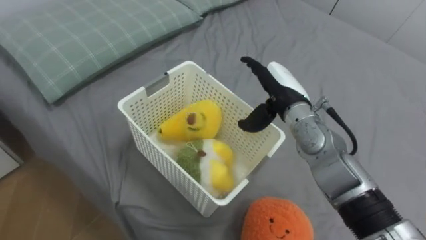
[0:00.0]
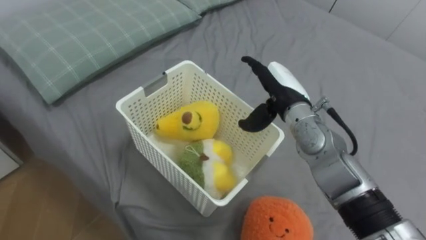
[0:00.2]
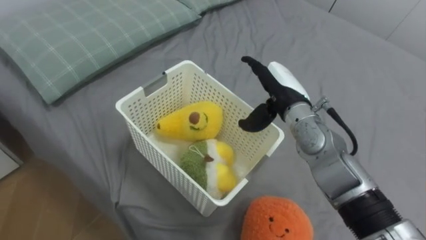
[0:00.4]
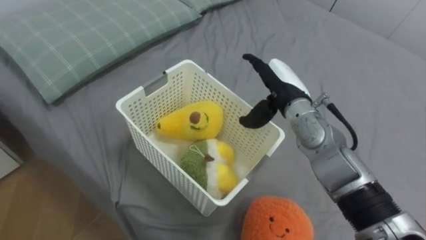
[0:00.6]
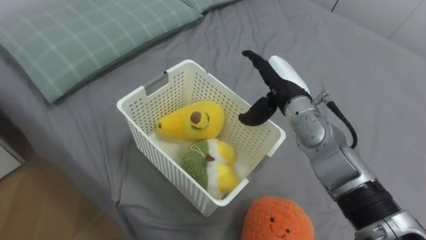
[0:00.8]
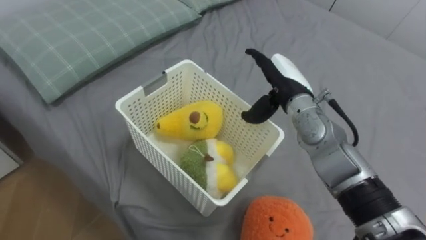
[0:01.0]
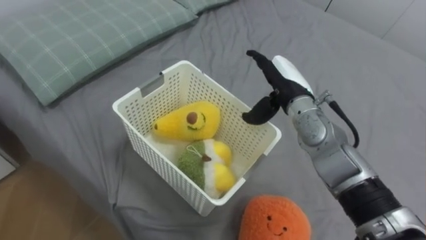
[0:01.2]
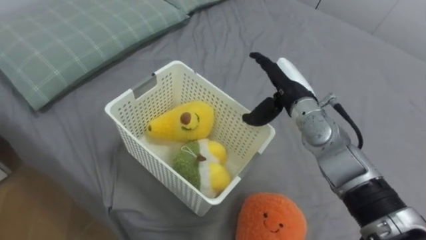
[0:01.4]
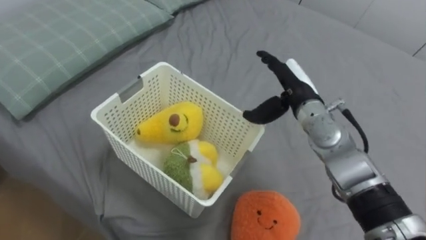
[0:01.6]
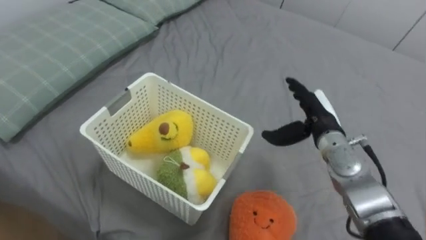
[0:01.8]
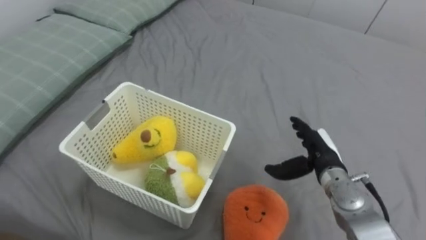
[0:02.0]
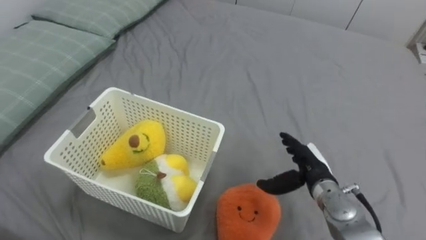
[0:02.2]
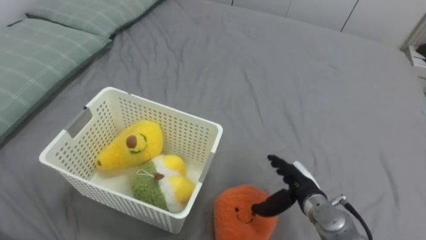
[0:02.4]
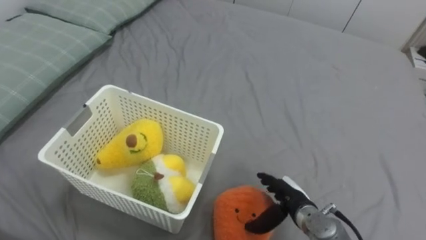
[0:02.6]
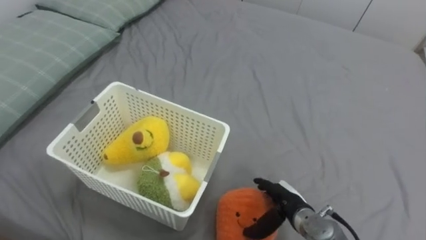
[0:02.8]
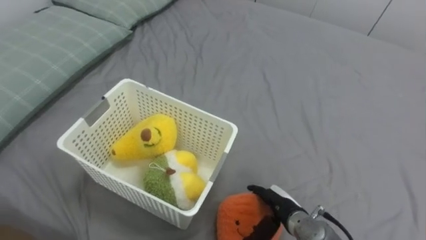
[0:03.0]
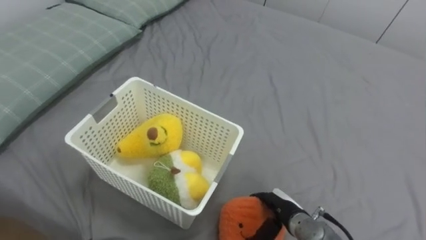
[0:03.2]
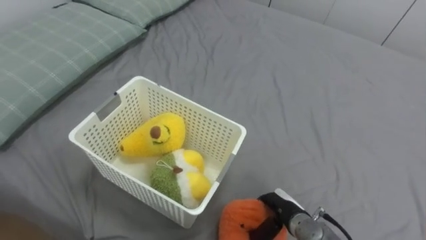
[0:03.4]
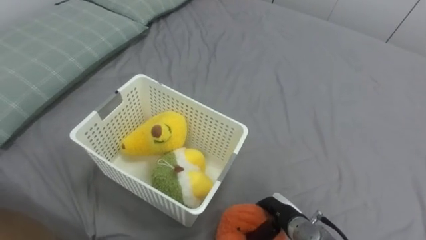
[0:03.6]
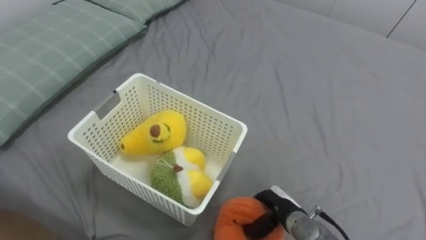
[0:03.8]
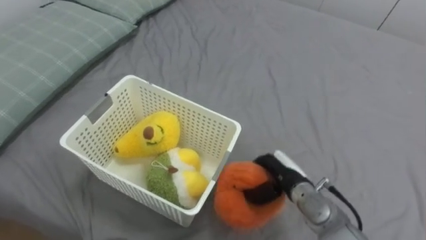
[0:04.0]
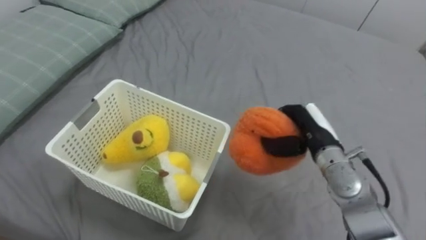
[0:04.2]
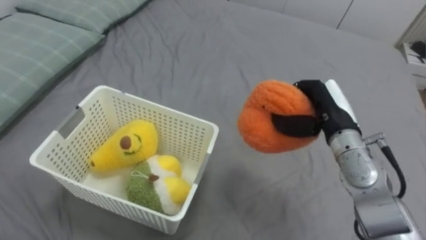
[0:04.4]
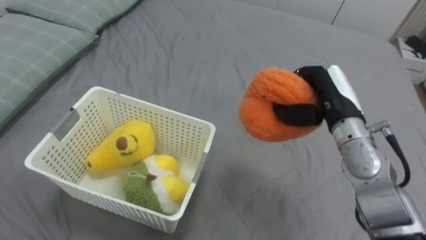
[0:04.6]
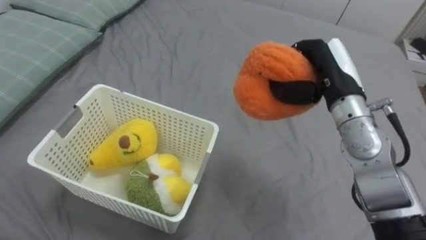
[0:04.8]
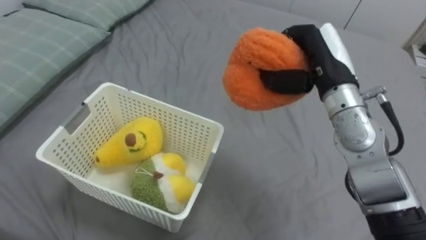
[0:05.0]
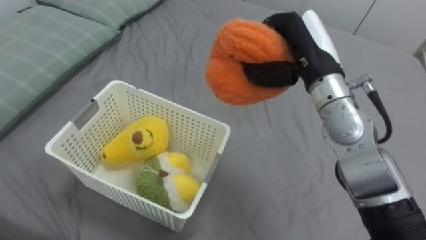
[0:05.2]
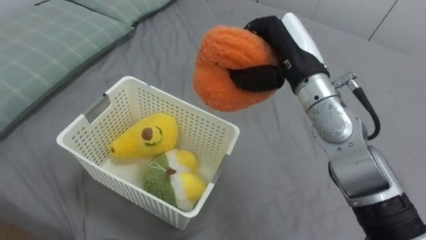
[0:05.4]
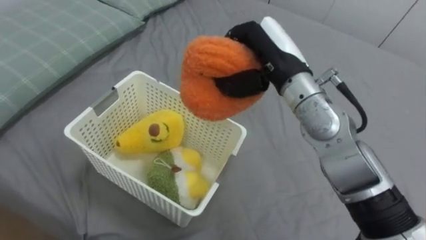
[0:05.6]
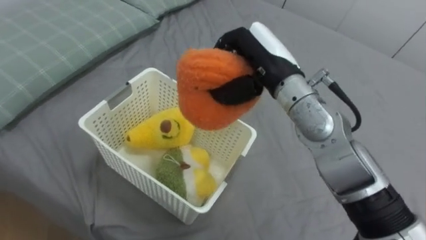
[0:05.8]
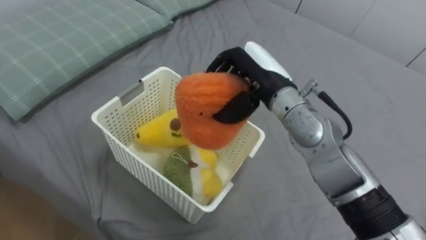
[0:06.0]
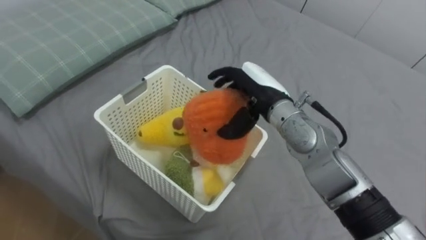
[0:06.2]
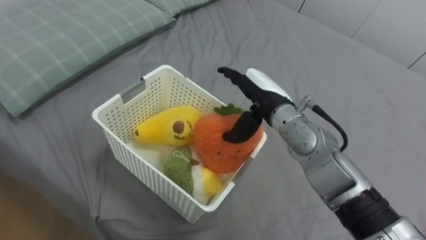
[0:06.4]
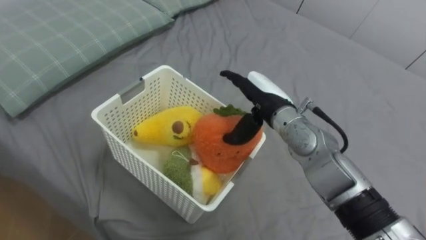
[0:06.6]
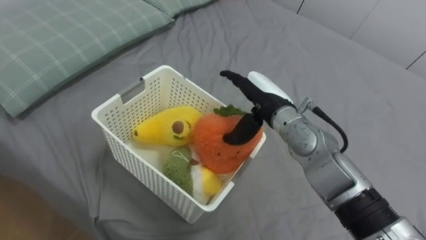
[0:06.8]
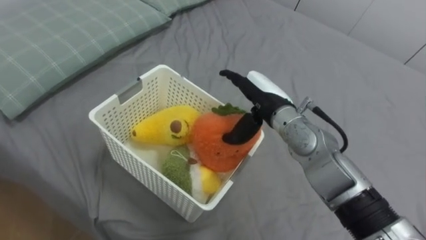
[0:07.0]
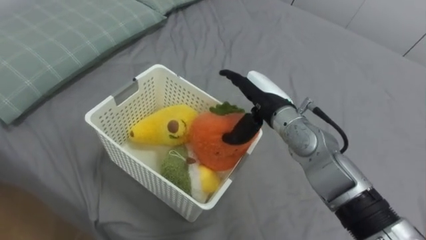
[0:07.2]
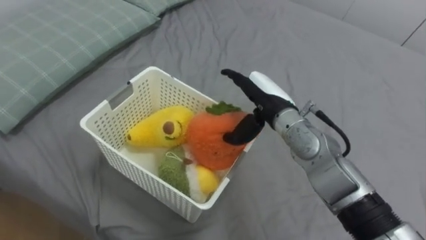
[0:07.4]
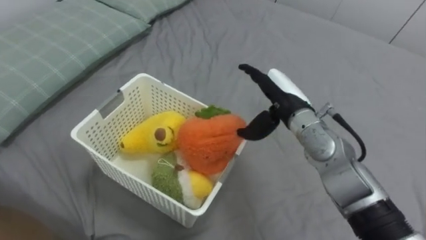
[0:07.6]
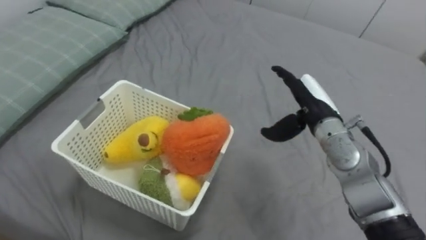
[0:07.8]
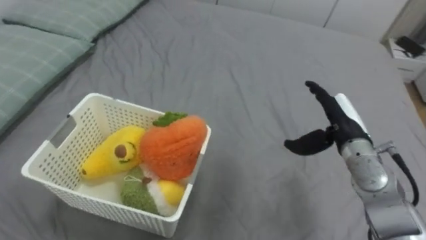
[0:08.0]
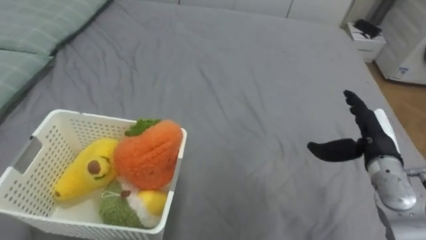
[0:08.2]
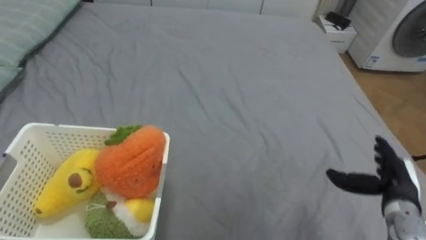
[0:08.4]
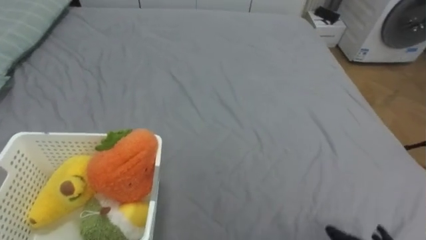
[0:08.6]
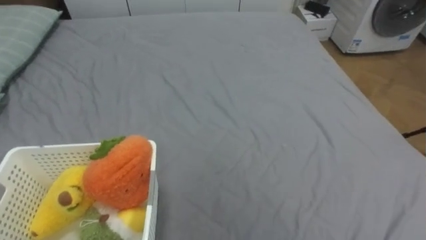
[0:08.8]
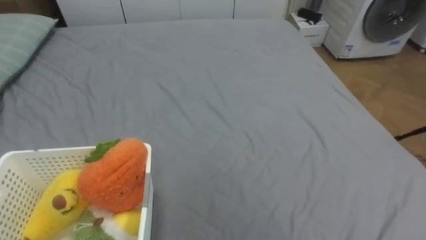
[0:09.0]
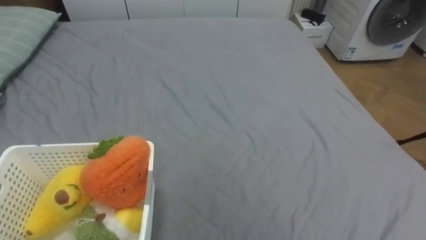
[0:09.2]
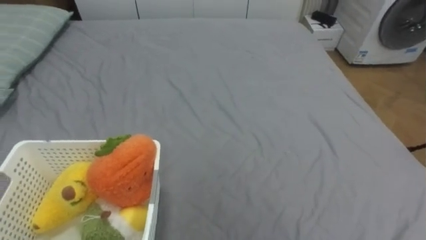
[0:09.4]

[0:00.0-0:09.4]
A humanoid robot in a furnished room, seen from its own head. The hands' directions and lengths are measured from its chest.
Task of the whole recording: Put the toys on the bed into the basket on the left.
0:01.6 to 0:03.2: The right hand moves downward and backward, roughly 25 cm.
0:03.2 to 0:04.8: The right hand is displaced upward and forward by roughly 30 cm, and closes its fingers.
0:04.8 to 0:06.2: The right hand heads to the left, covering approximately 10 cm, and opens its fingers.
0:06.2 to 0:07.8: The right hand is displaced to the right by some 10 cm.

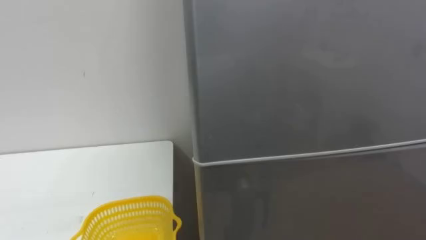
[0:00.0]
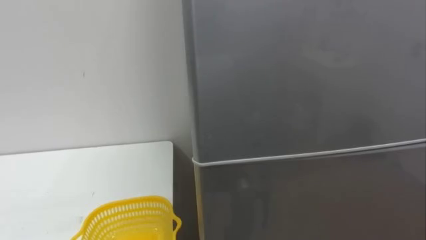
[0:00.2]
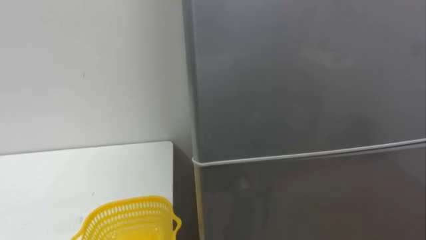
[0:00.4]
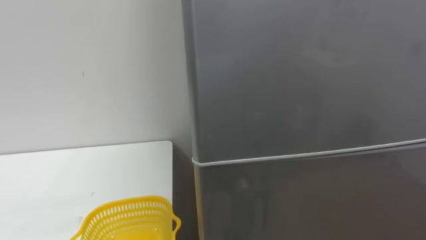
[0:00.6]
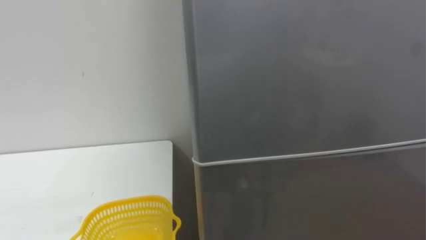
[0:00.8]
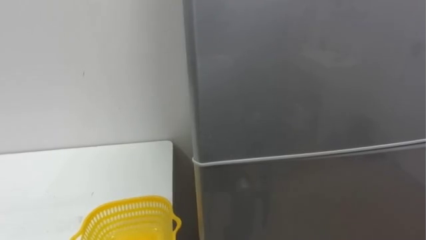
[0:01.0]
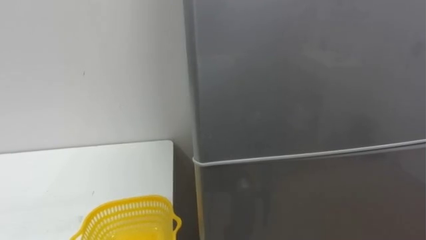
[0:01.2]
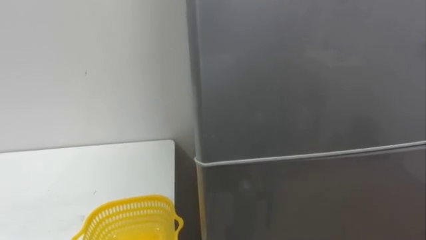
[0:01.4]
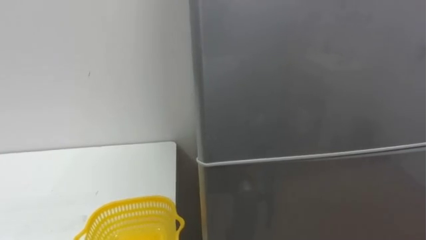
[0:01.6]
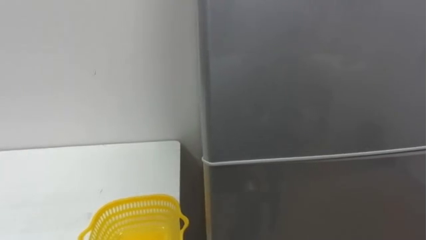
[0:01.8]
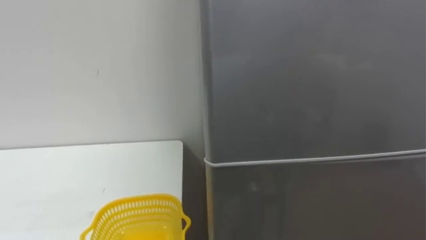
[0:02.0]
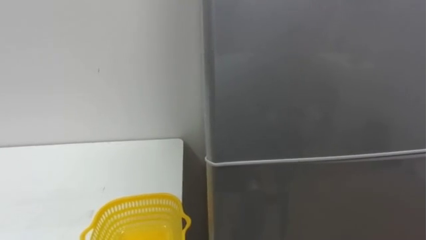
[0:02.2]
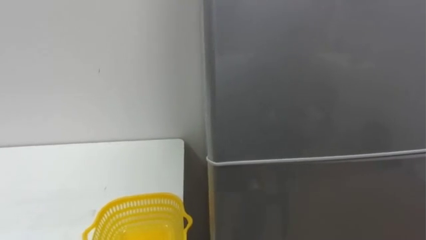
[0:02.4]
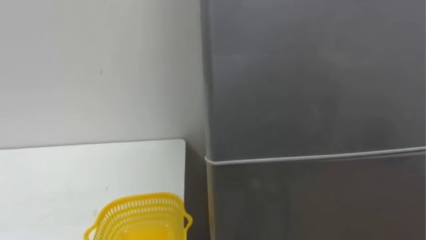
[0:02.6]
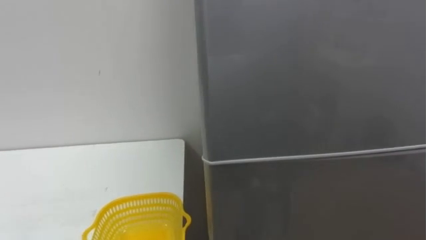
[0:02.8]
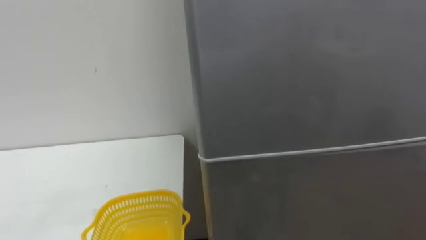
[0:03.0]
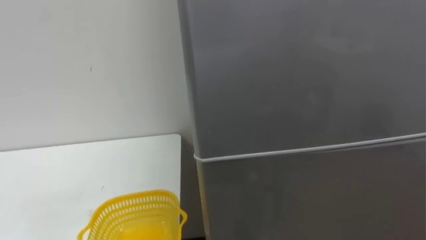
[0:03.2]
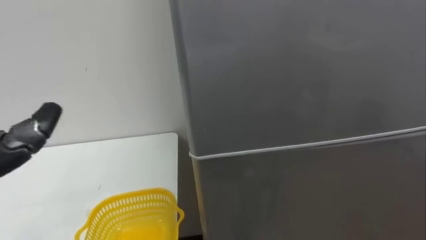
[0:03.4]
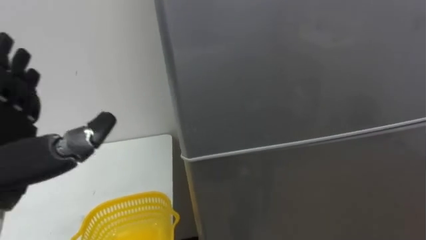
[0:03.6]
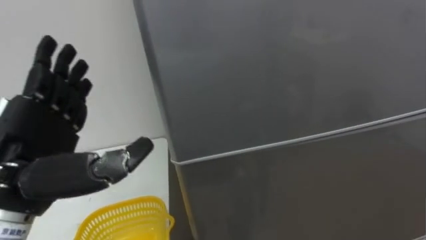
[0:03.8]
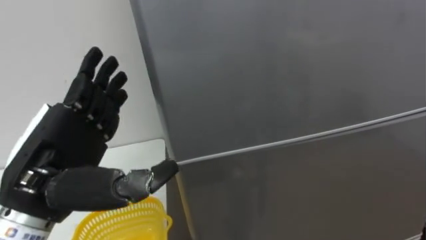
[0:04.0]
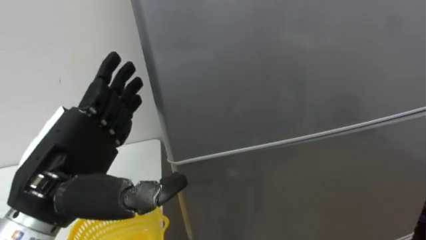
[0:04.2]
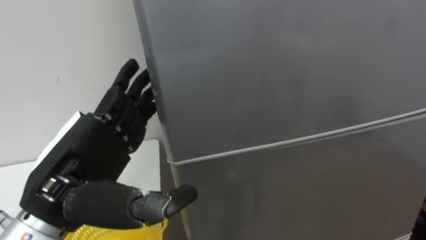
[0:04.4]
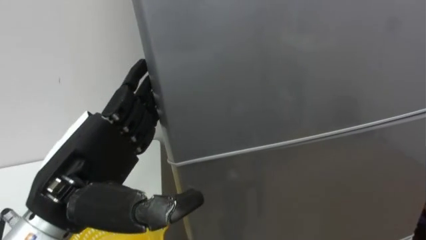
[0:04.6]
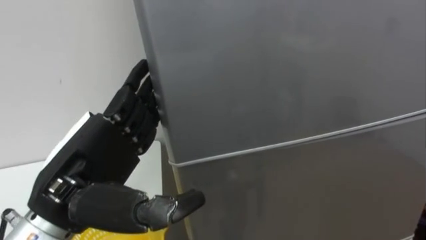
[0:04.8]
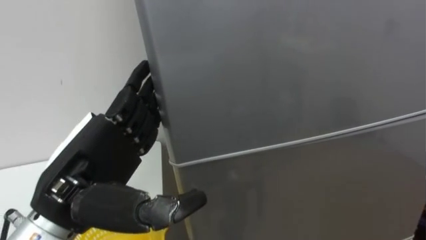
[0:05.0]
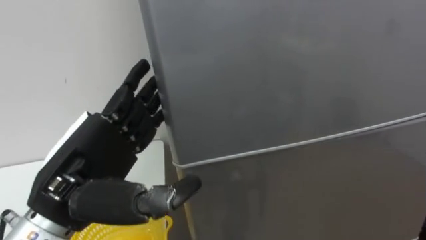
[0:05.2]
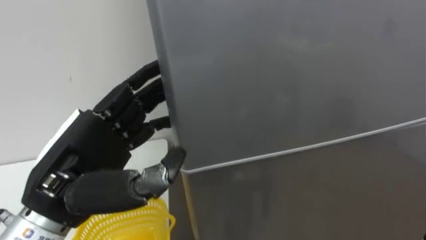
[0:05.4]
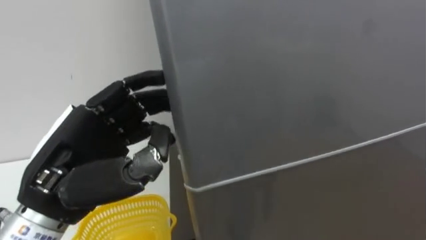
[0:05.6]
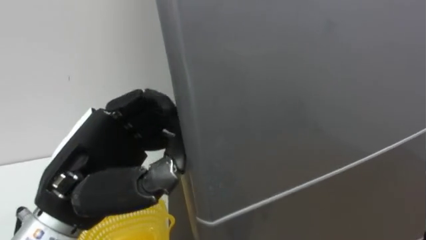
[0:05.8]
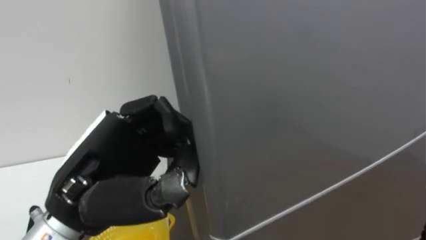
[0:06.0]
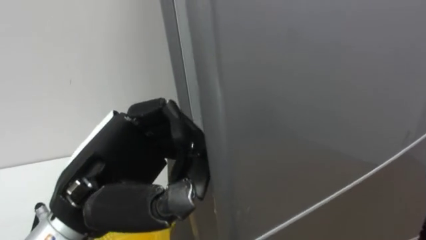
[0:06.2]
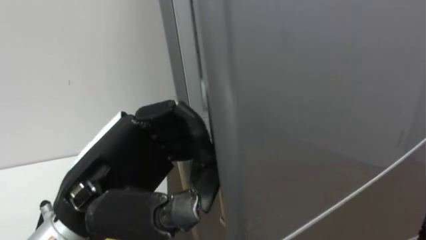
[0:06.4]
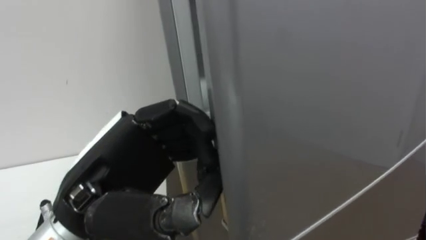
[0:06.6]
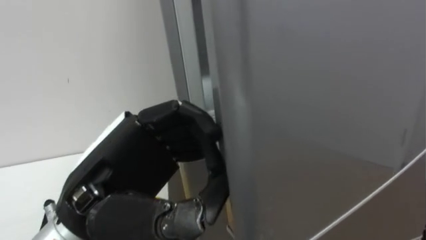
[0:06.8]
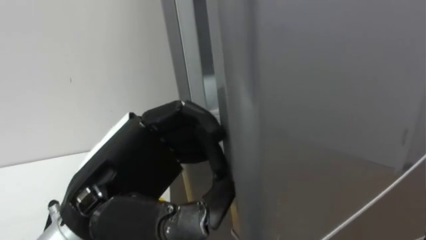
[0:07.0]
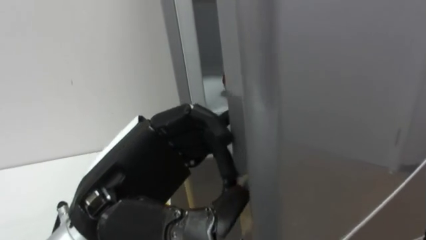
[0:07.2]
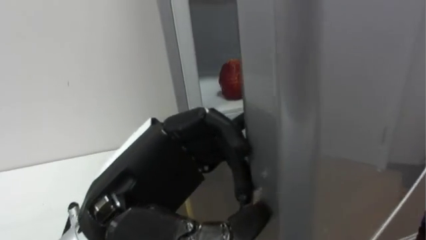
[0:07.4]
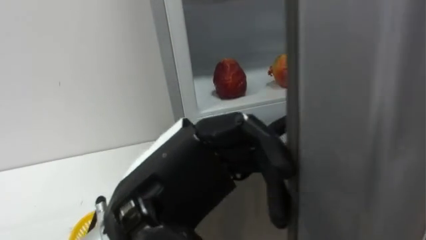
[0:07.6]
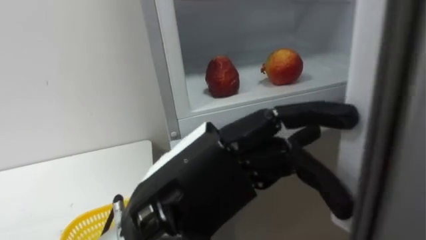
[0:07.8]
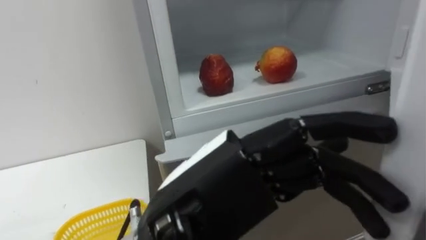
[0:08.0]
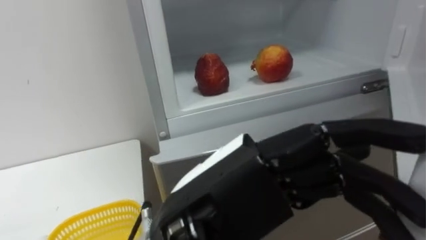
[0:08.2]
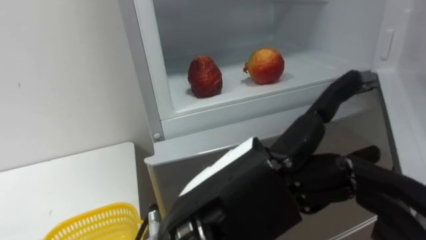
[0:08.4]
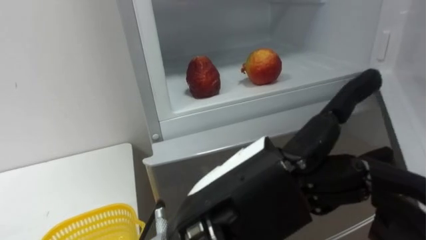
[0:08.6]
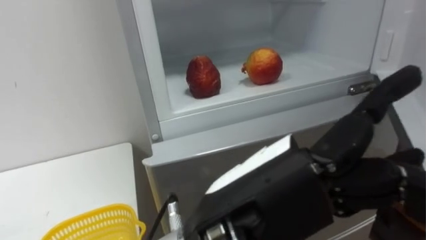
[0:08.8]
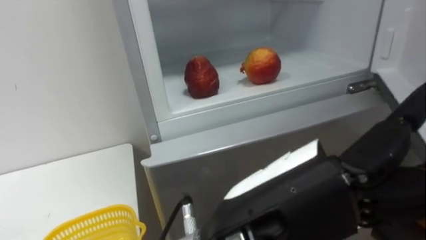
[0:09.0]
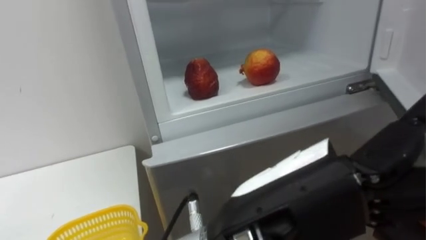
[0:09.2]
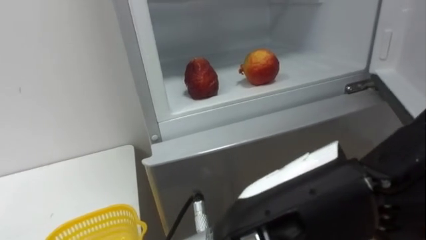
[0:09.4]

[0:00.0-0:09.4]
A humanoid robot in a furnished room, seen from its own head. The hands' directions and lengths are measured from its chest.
Task of the whole recording: Open the refrigerator door, take out the apple and the pomegranate, place them in the fruit basket on the left, and close the refrigerator door.
0:04.8 to 0:06.2: The left hand closes up.
0:06.2 to 0:07.8: The left hand is displaced to the right by some 10 cm, and opens.
0:07.8 to 0:09.4: The left hand goes roughly 10 cm to the right.
